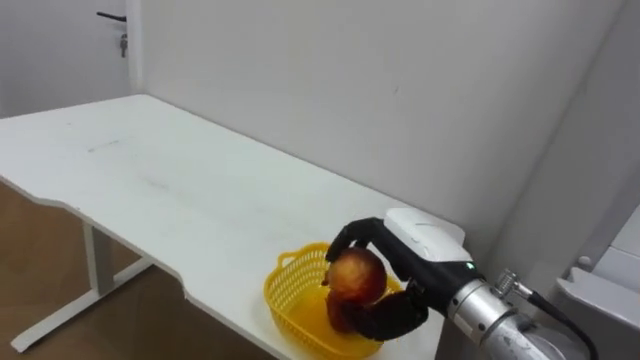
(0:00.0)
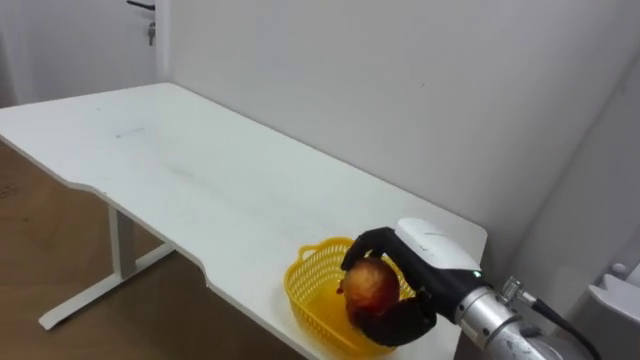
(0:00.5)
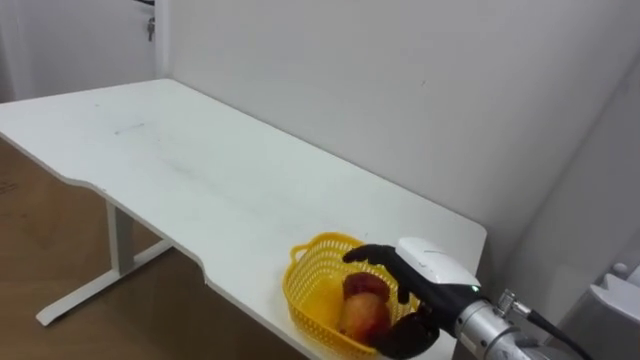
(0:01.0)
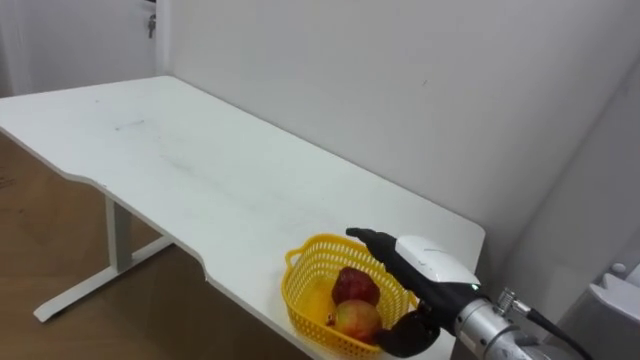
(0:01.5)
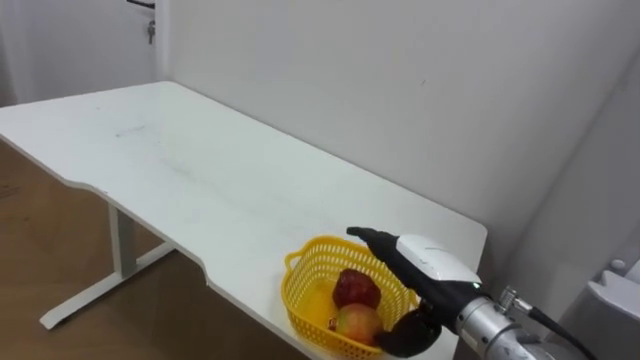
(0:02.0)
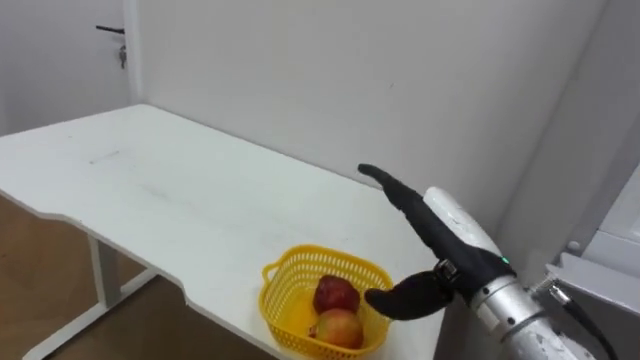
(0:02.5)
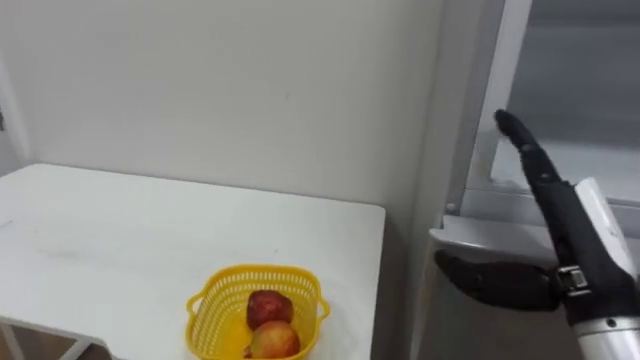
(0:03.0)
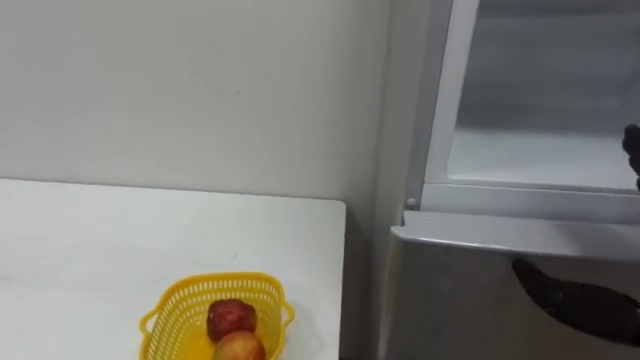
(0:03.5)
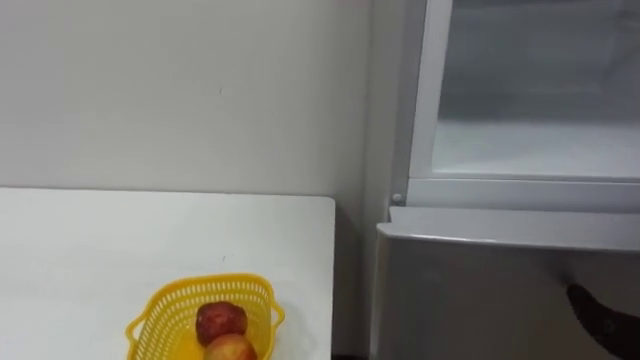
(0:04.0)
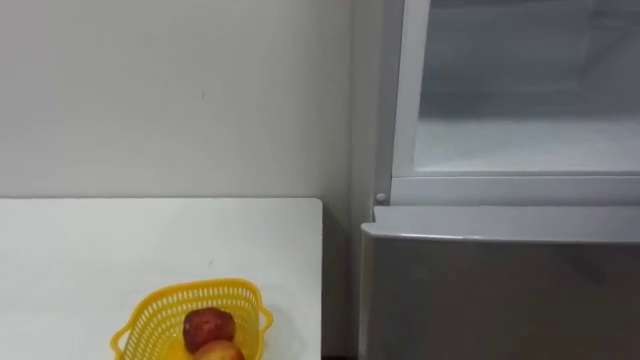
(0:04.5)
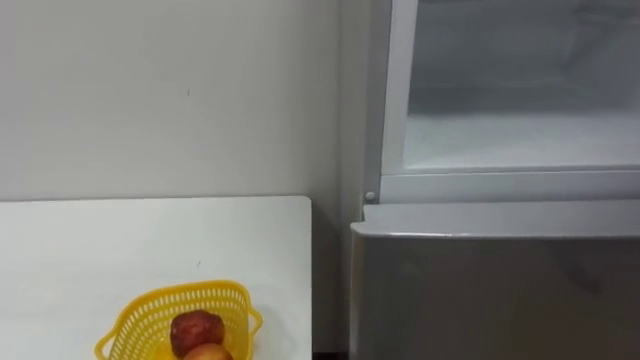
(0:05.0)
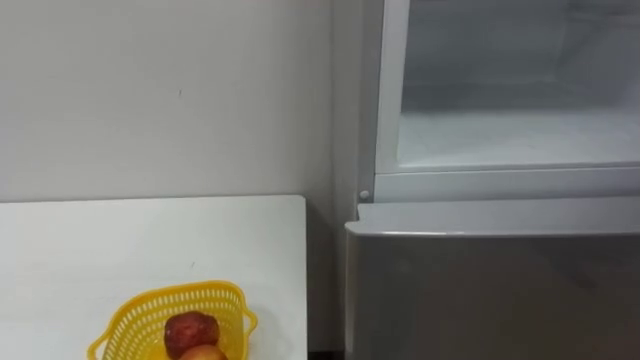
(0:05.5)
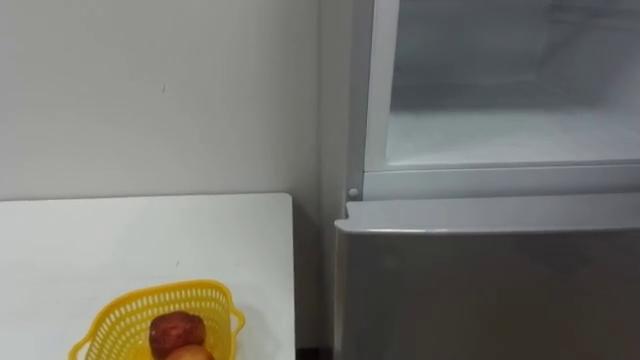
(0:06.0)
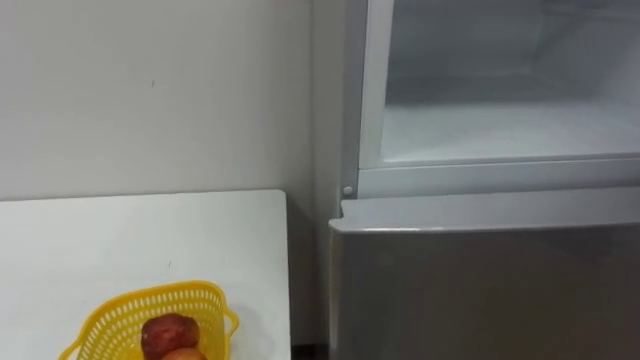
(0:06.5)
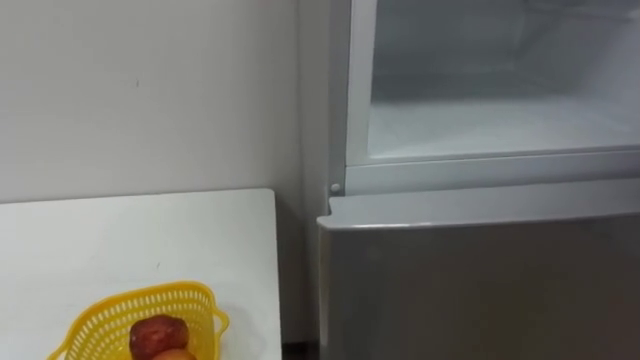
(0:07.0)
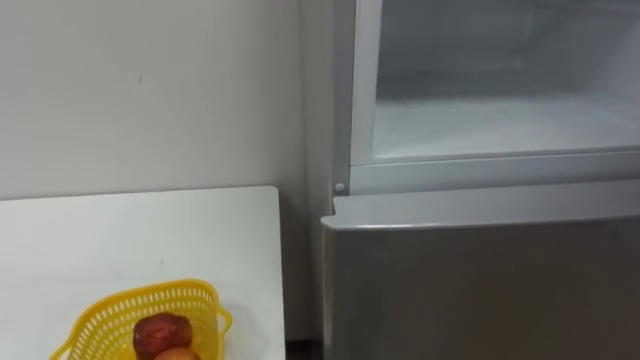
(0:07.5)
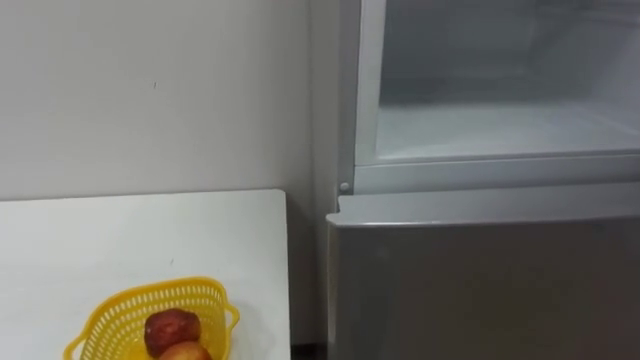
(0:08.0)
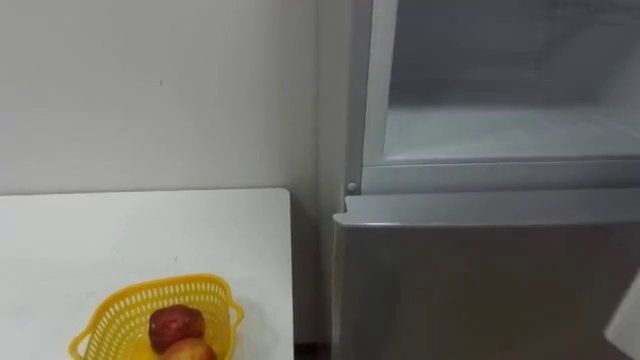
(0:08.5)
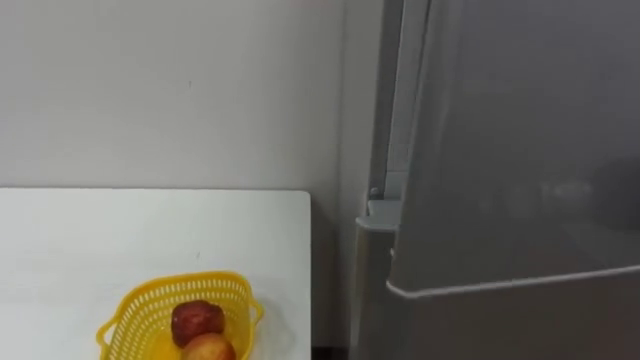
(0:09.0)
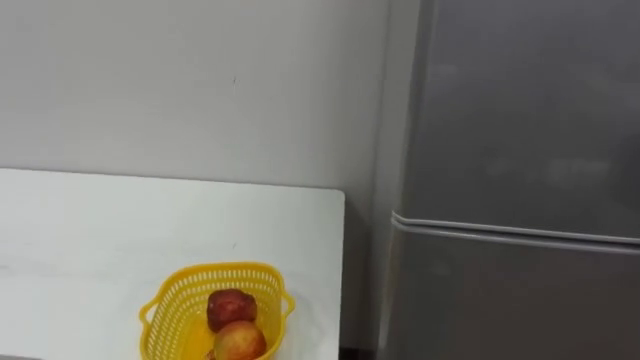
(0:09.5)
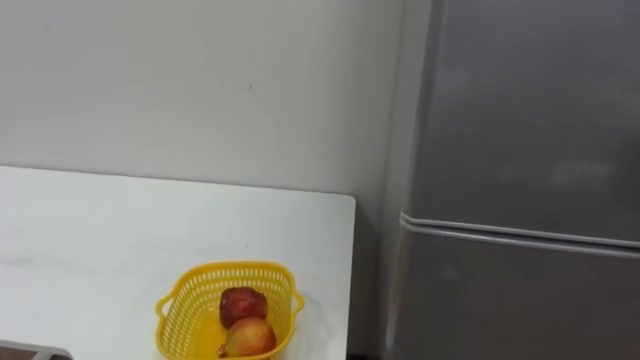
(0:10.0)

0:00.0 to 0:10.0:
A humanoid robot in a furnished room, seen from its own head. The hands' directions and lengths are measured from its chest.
Task of the whole recording: Open the refrigerator door, take out the apple and the pomegranate, place them in the fruit basket on the left, and close the refrigerator door.
0:00.0 to 0:02.0: The right hand moves approximately 5 cm, and opens its fingers.

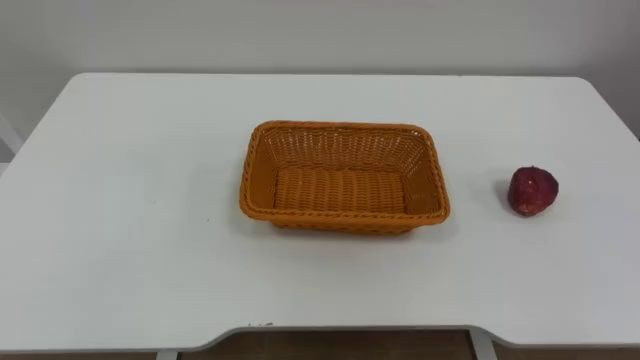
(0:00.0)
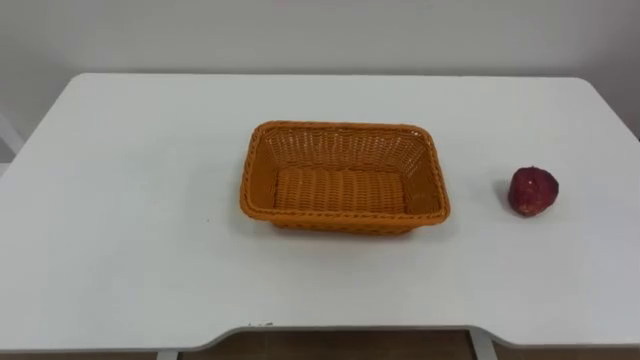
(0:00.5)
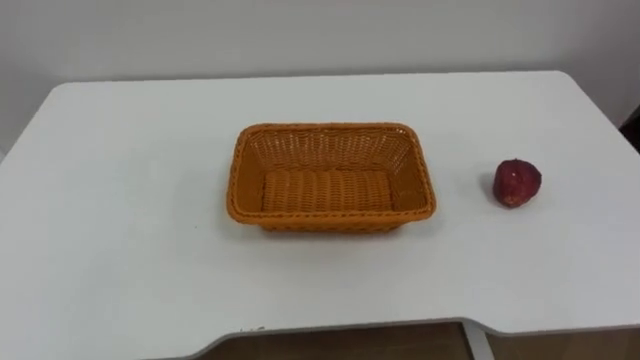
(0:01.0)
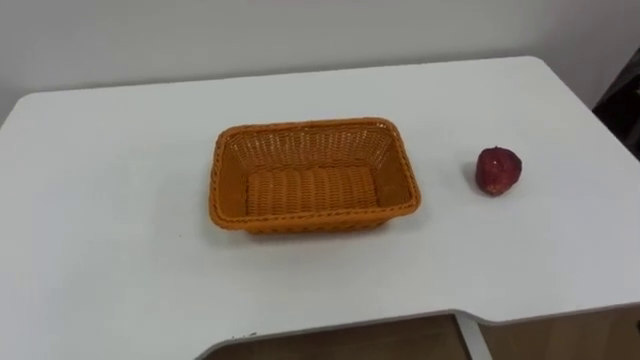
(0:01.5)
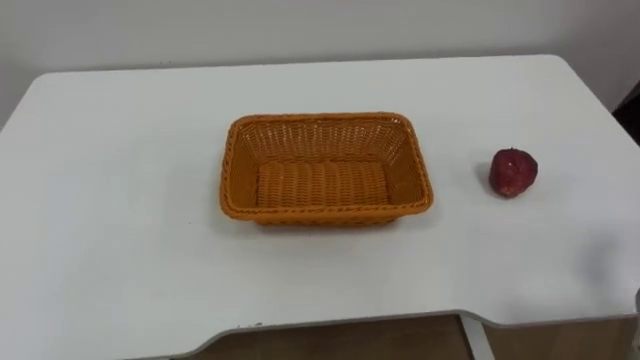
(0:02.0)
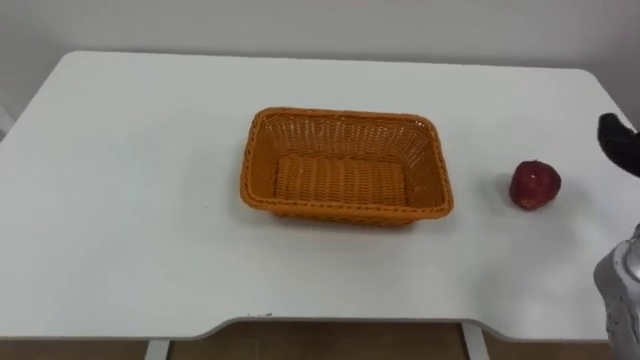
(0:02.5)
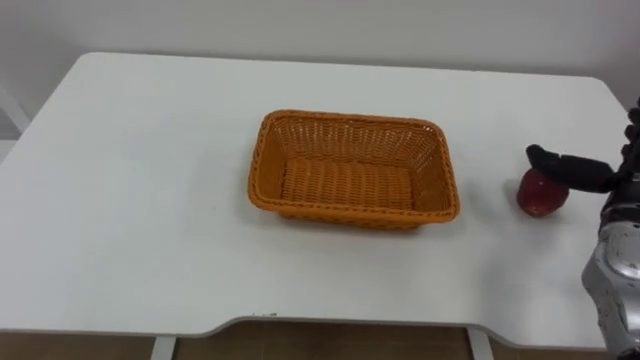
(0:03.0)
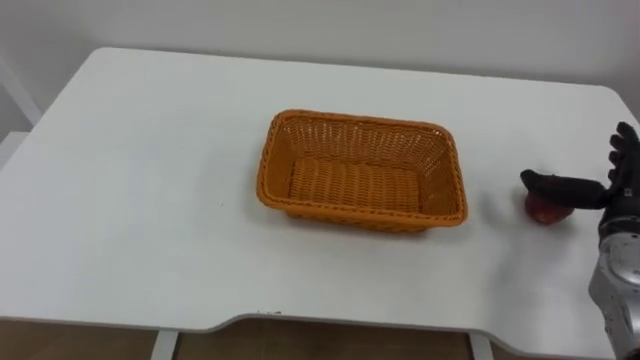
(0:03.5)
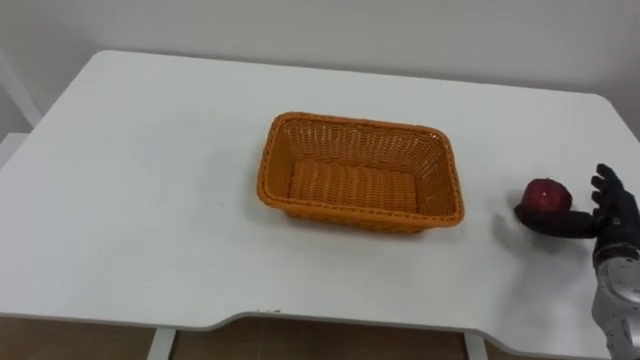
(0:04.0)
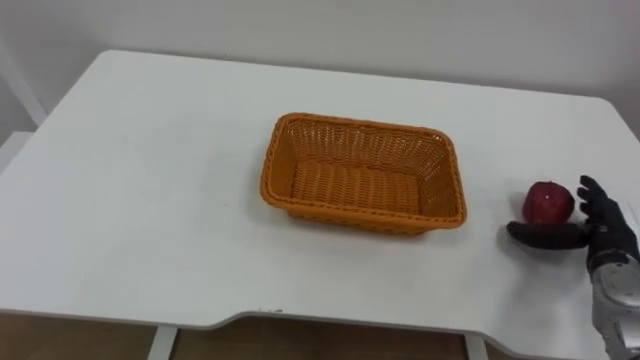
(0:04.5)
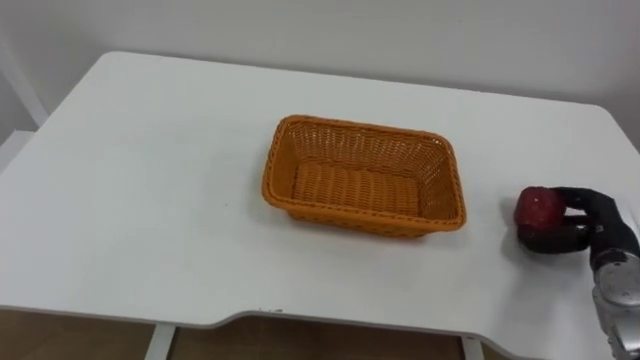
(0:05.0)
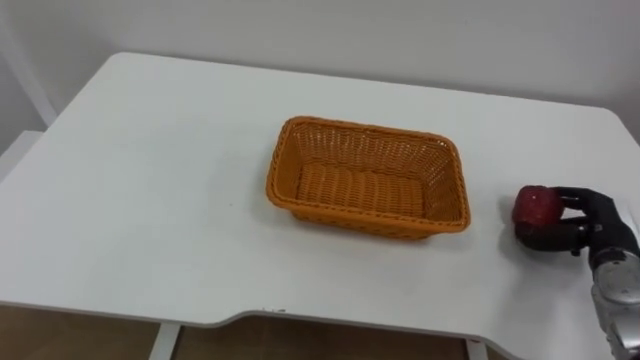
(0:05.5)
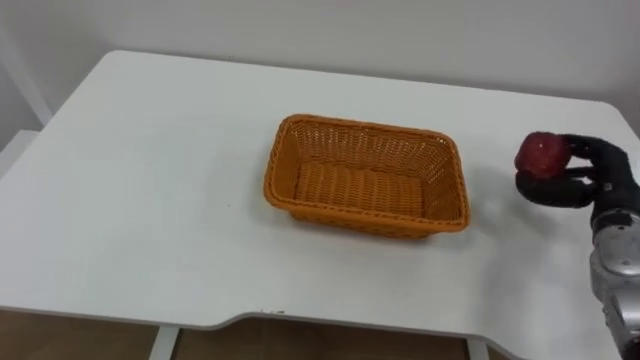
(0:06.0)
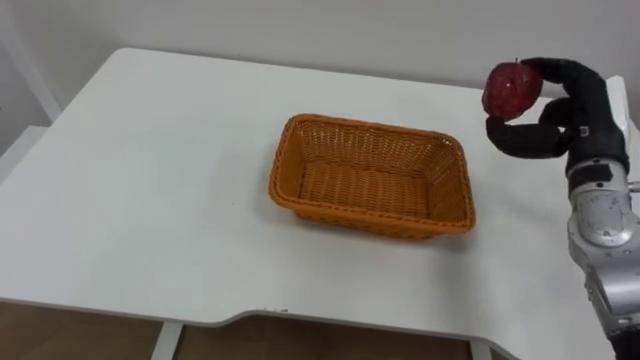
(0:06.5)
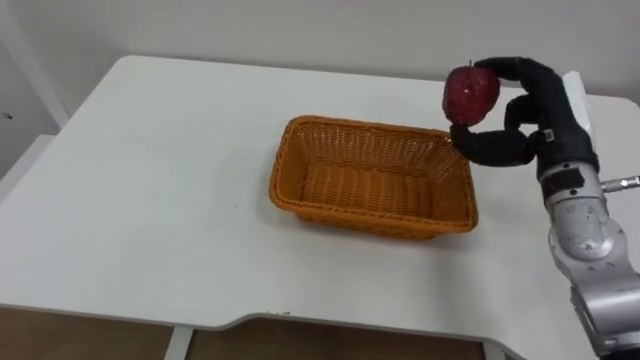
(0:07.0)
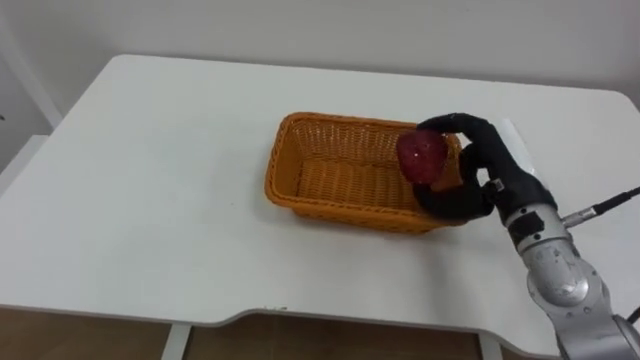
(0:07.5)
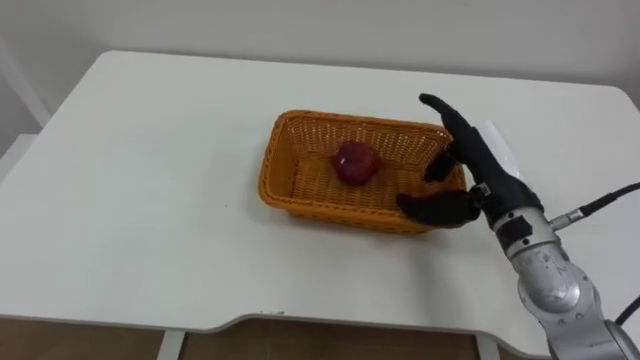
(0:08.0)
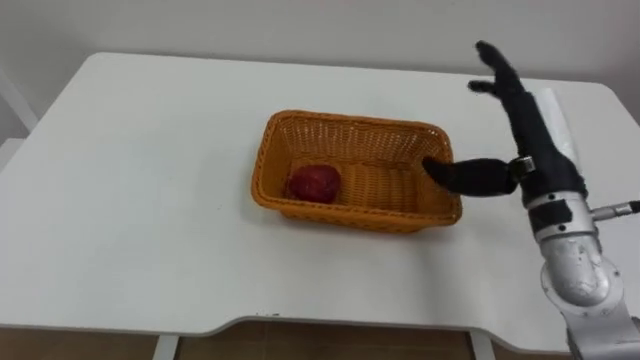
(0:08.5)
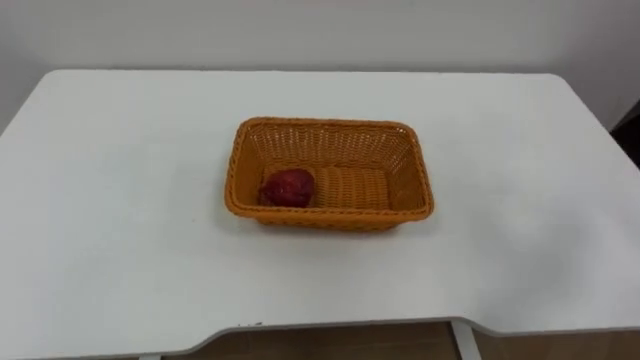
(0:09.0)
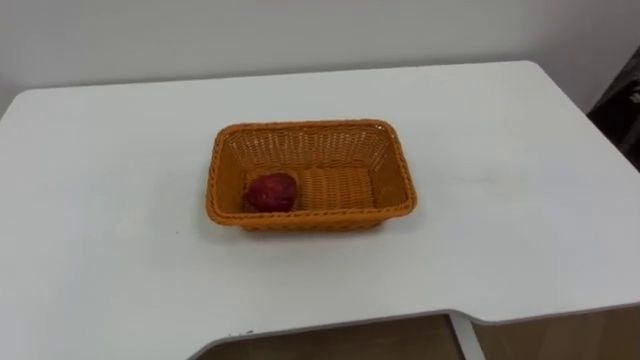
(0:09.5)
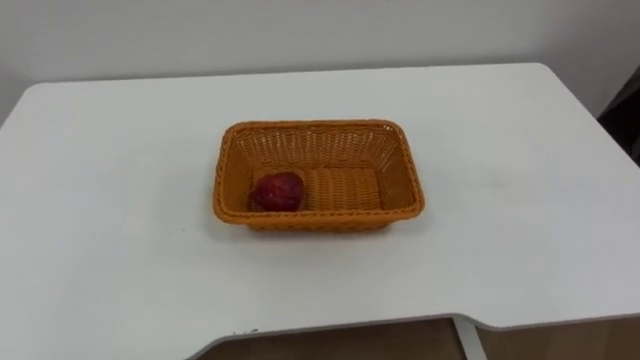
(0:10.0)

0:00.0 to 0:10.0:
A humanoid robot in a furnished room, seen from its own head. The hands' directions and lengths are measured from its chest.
Task of the whole recording: Pick the apple and place it in the box.
0:04.0 to 0:06.0: The right hand closes.
0:06.0 to 0:08.0: The right hand moves to the left and upward, about 20 cm.
